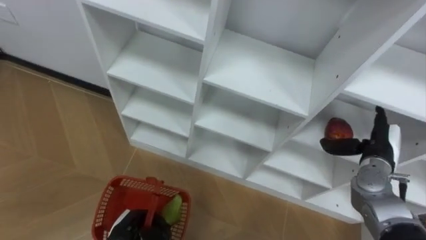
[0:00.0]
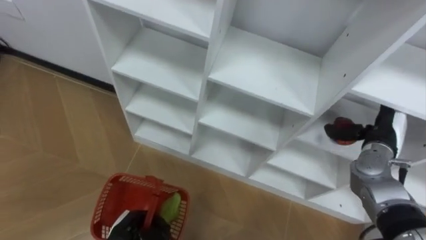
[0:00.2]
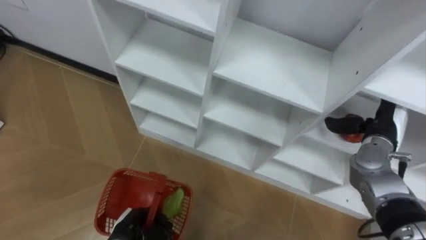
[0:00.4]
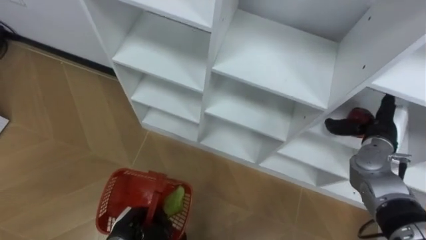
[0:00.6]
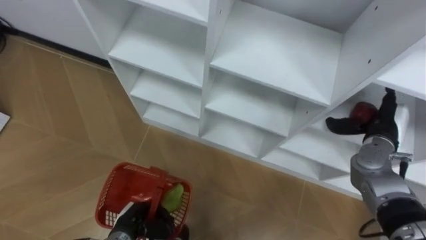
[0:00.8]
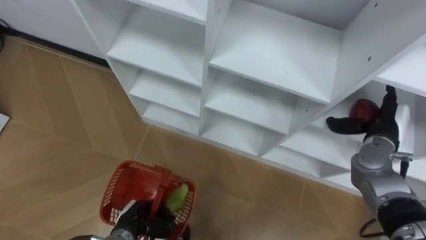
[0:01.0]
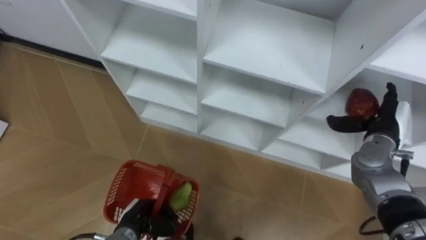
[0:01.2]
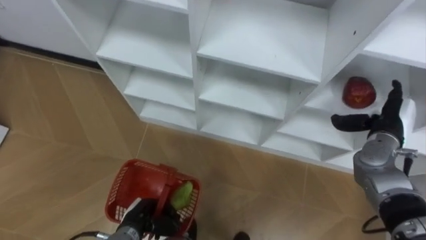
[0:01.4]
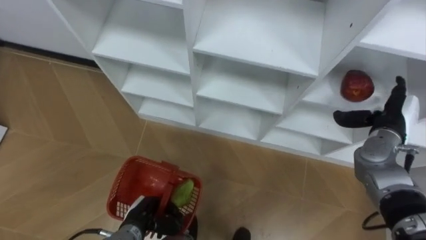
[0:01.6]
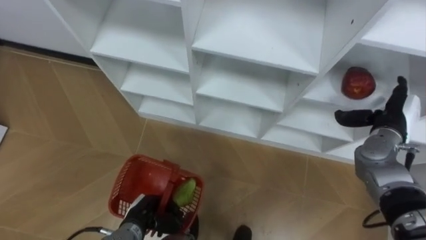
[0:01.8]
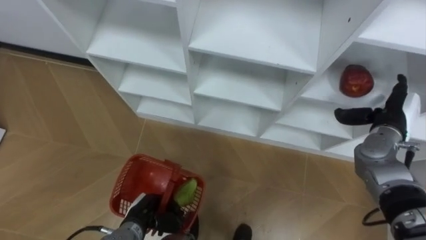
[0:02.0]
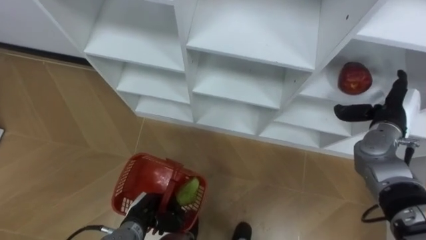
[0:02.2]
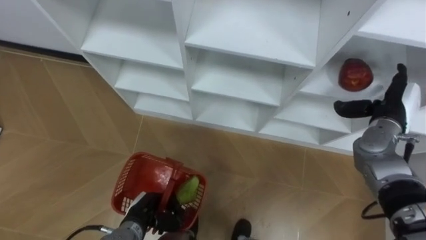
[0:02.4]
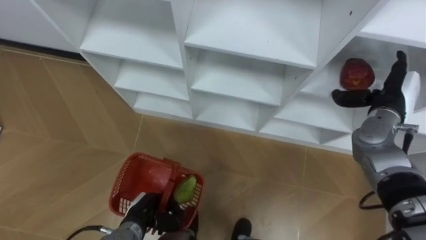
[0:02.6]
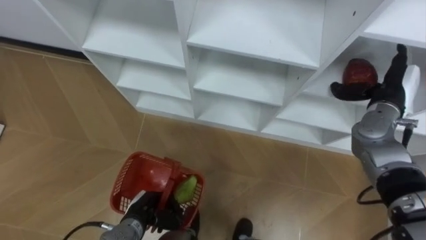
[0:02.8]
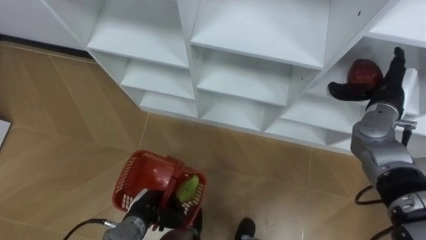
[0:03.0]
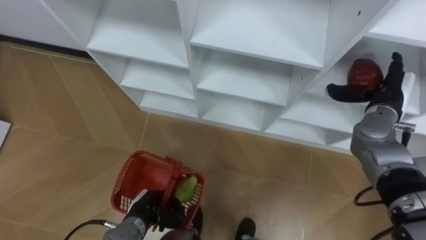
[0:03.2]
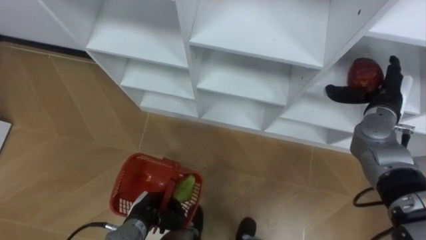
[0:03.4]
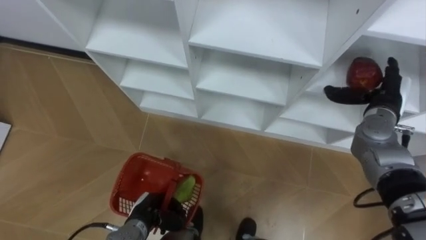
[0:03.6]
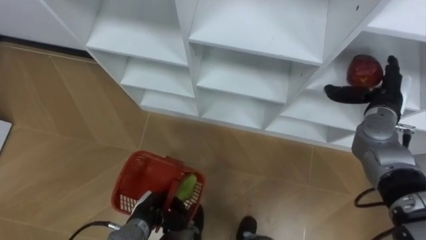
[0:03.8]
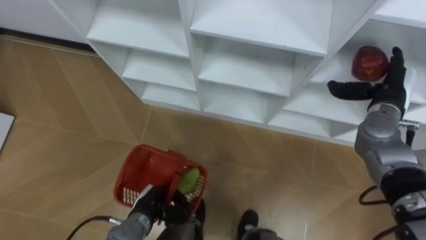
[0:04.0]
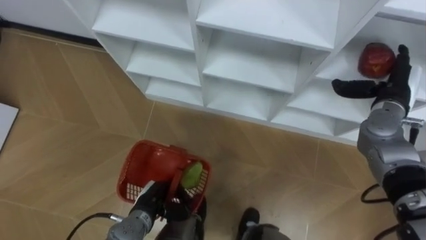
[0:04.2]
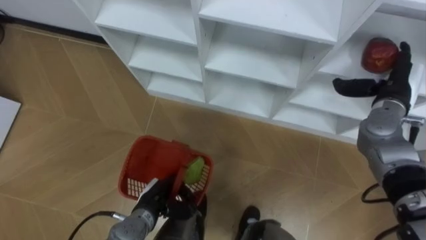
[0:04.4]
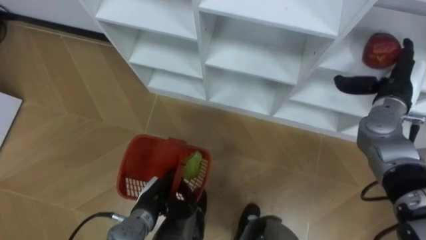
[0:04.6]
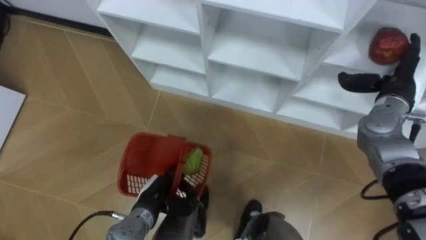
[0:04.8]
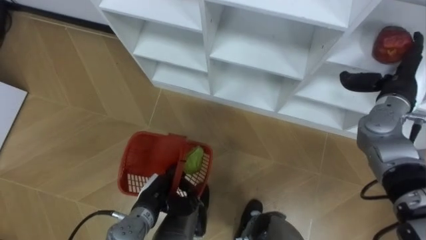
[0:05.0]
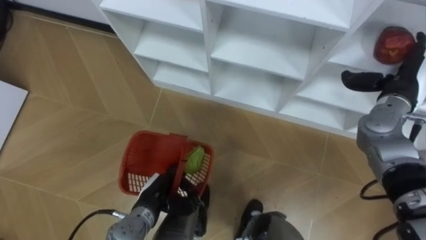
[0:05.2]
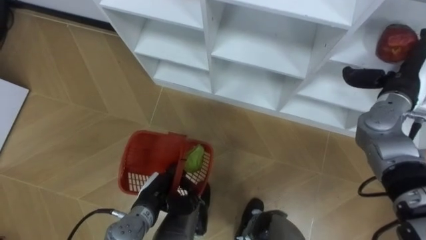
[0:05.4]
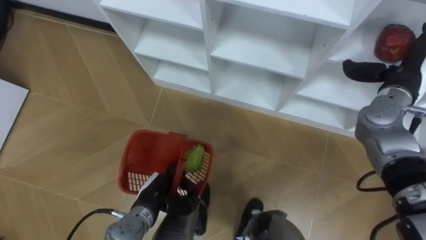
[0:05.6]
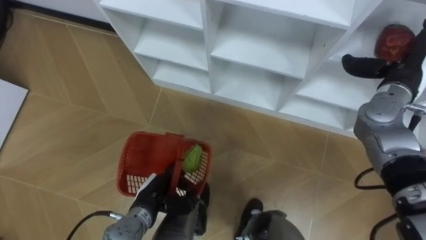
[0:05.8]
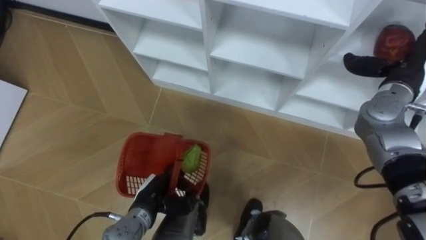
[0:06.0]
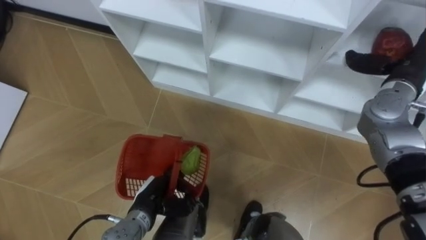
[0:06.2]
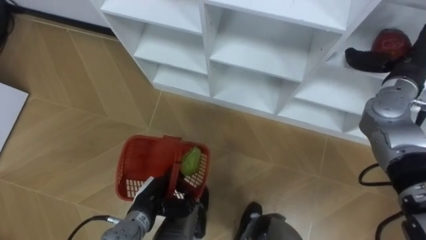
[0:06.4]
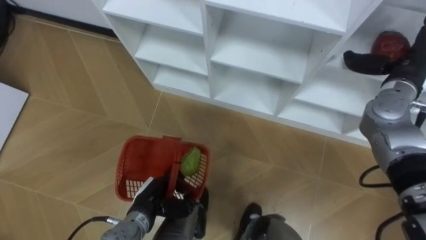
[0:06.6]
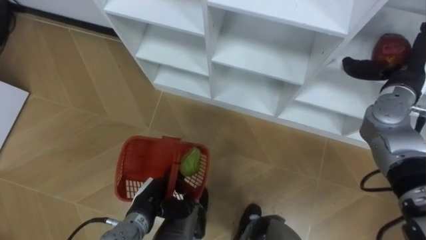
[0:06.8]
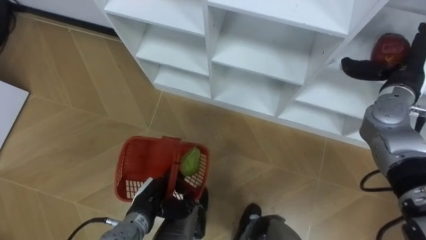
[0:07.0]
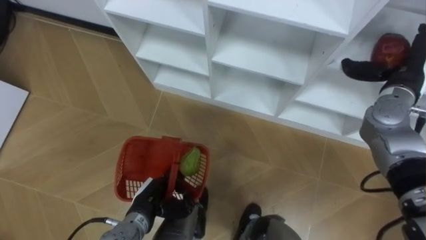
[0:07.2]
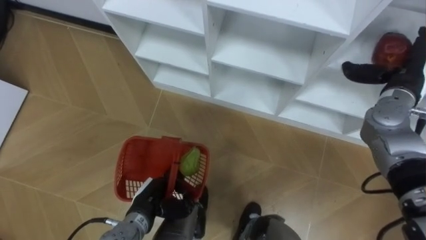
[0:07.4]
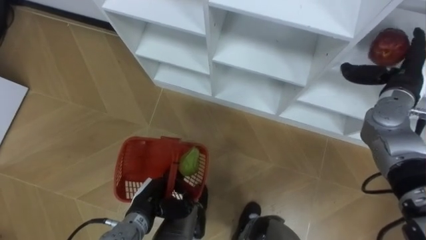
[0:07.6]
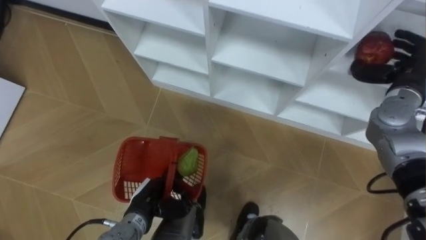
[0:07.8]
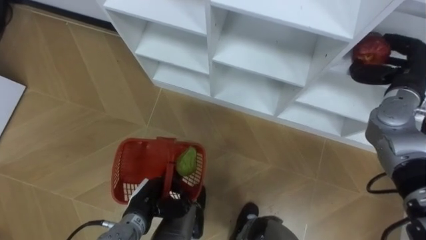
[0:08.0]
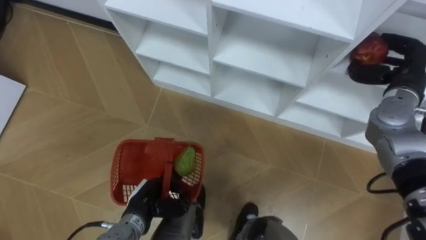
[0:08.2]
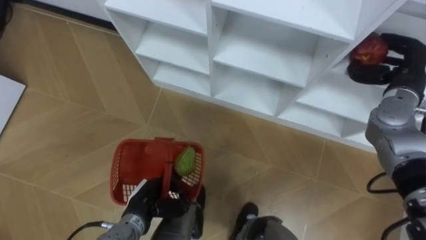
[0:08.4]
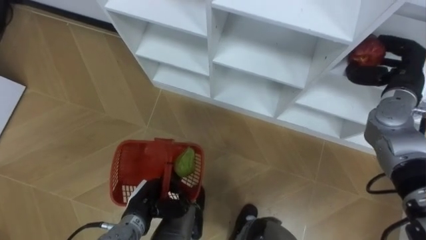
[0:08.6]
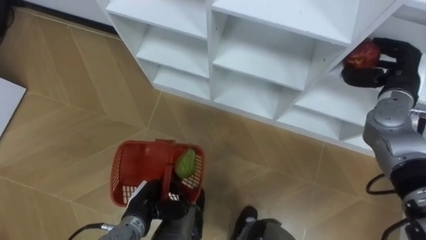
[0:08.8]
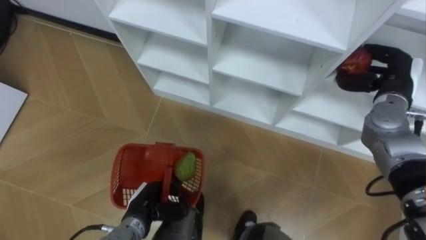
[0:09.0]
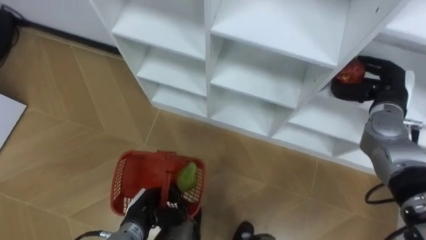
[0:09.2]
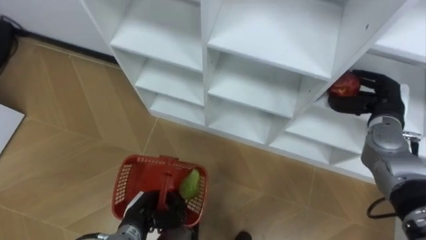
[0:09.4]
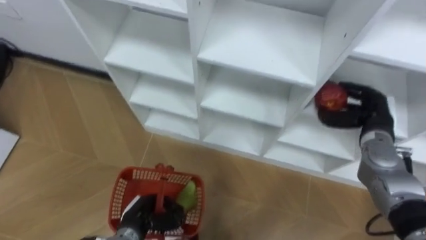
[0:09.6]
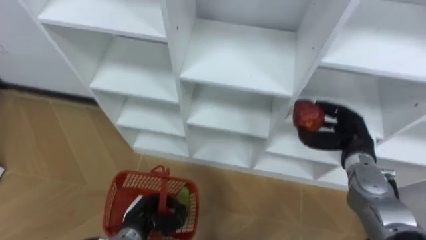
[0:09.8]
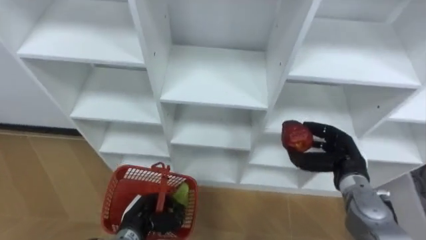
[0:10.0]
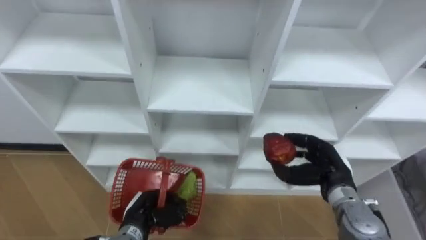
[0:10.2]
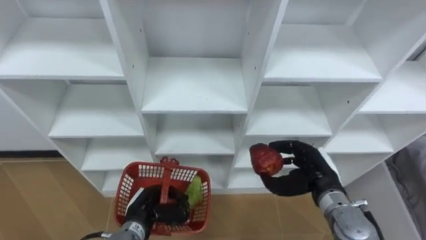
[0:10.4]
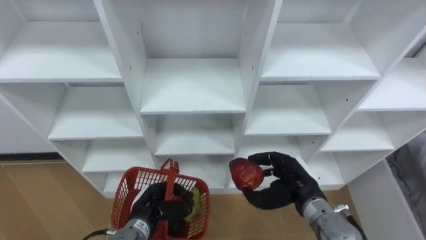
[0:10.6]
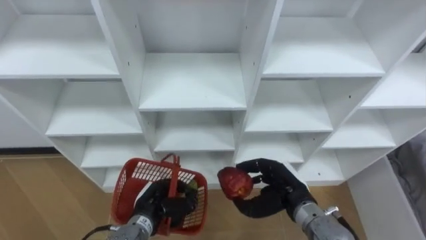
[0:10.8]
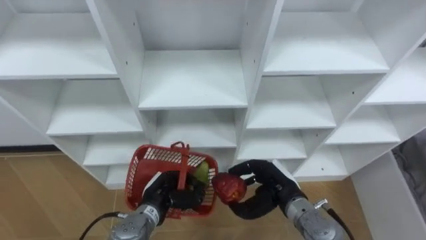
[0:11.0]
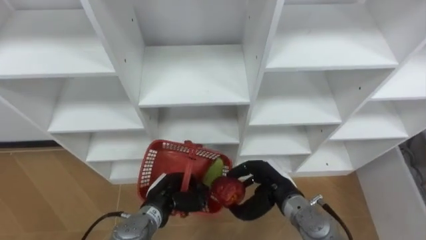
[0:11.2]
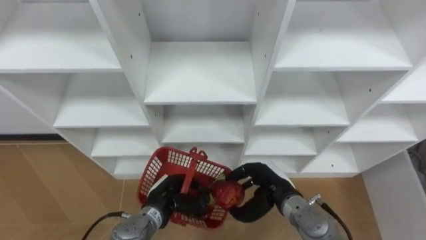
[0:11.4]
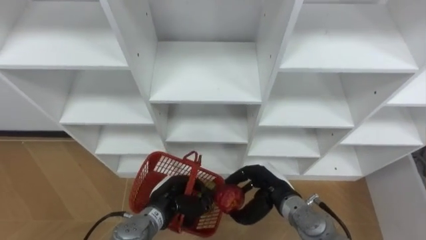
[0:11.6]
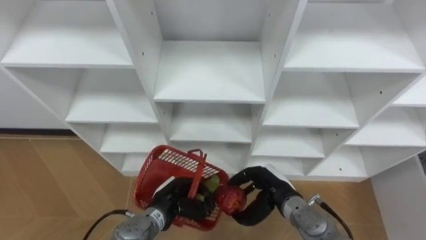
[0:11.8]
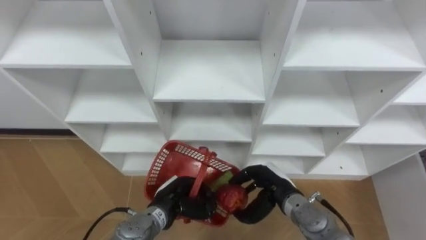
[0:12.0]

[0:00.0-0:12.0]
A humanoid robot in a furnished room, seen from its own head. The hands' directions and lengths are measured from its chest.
Task of the whole recording: Hold the basket and collect the fruits from 3 different cells of the closet into it.
0:00.0 to 0:01.6: The right hand moves some 5 cm.
0:01.6 to 0:03.0: The right hand ends up some 5 cm from where it was.
0:06.0 to 0:07.6: There are only small adjustments of the hands.
0:07.6 to 0:09.0: The right hand closes.
0:09.0 to 0:10.4: The right hand shifts some 20 cm backward, downward and to the left.
0:10.4 to 0:12.0: The left hand travels to the right by some 5 cm; the right hand goes about 10 cm to the left.

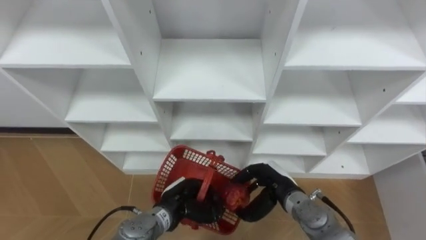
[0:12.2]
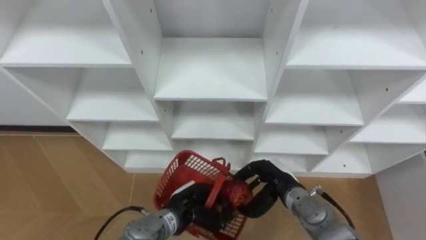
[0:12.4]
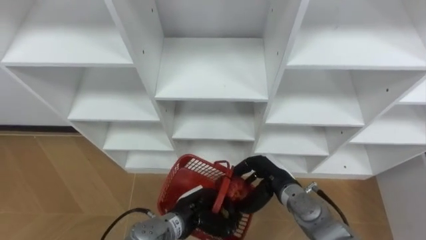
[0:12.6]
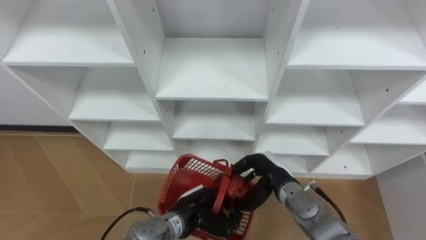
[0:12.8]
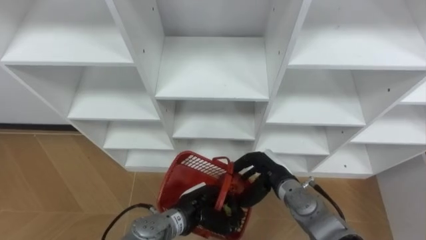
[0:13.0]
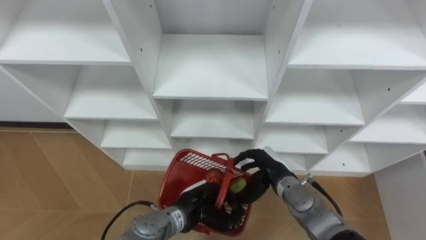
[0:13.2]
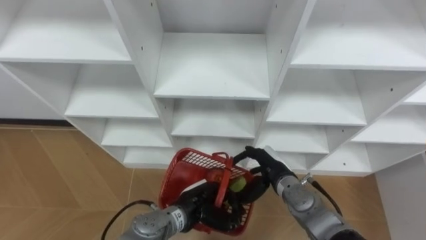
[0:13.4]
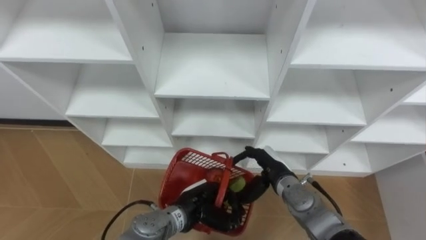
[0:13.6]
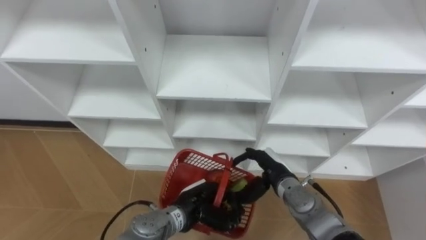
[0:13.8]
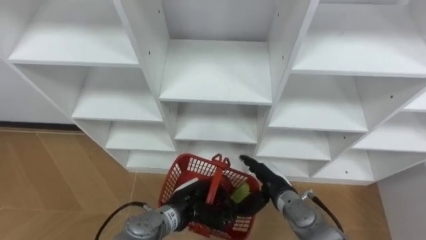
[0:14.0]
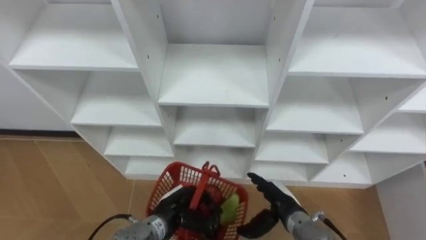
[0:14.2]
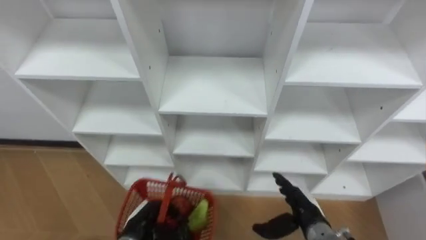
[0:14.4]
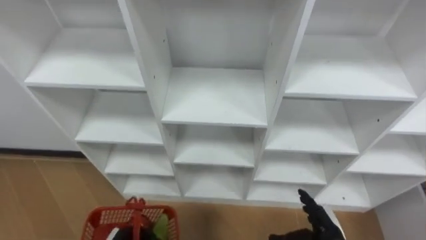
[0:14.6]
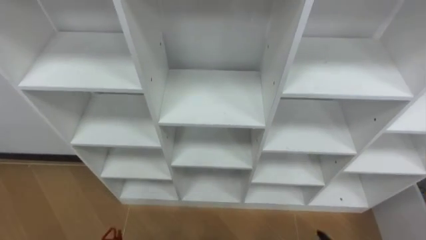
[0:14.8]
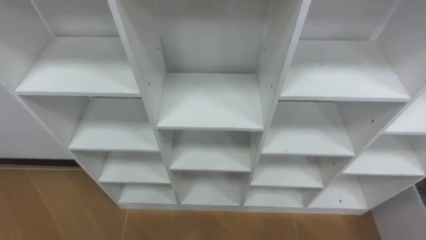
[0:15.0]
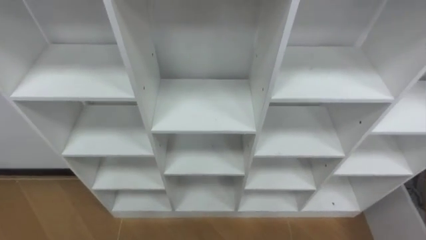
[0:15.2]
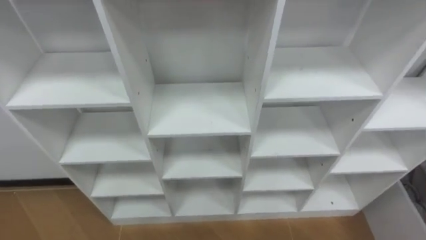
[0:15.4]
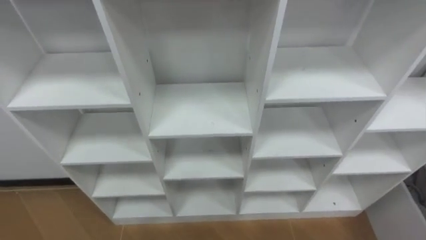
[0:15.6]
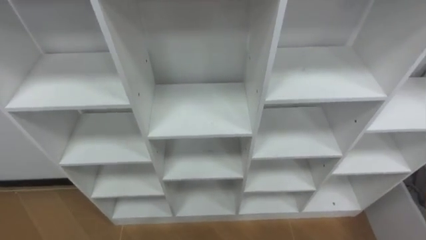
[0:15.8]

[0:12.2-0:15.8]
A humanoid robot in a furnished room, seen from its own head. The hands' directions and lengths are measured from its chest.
Task of the whole recording: Hold the basket and collect the fruits from 3 different cells of the closet into it.
0:12.2 to 0:14.0: The right hand opens.

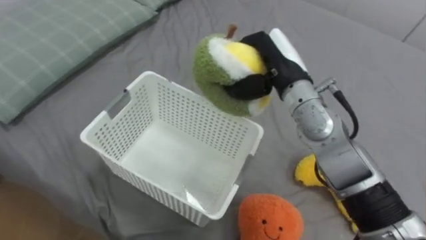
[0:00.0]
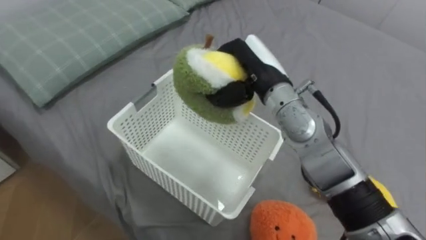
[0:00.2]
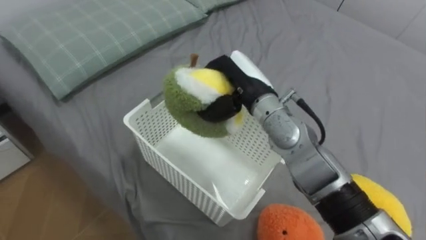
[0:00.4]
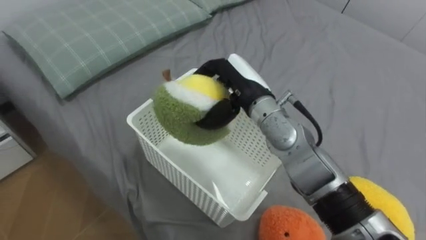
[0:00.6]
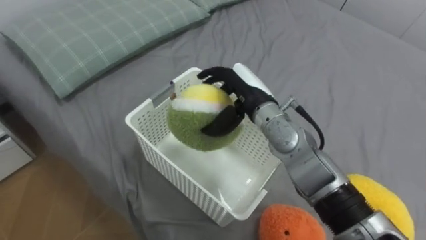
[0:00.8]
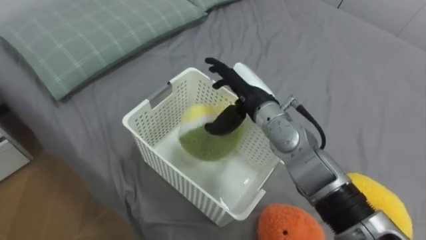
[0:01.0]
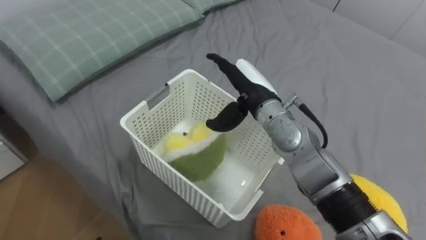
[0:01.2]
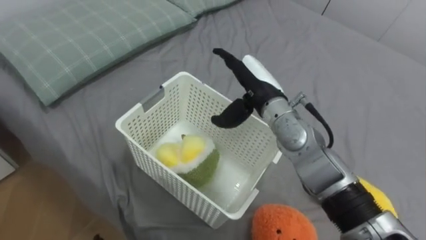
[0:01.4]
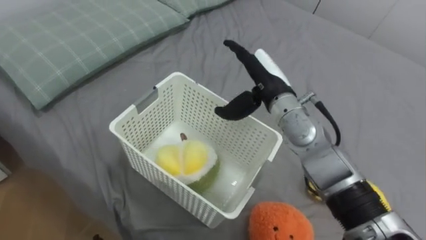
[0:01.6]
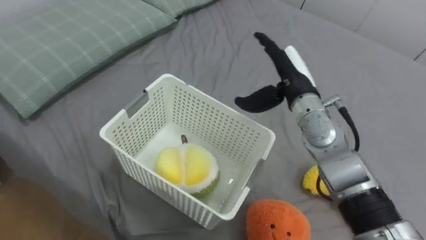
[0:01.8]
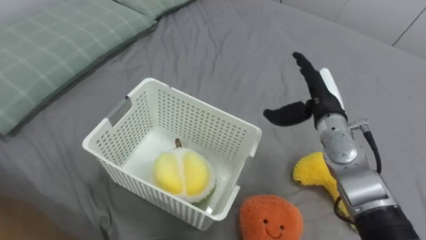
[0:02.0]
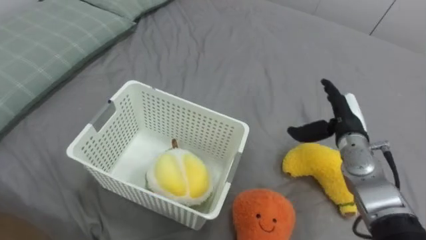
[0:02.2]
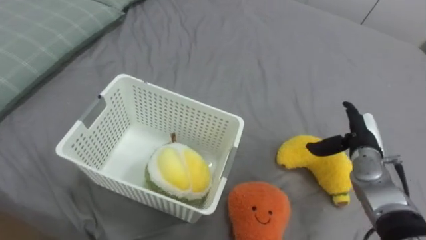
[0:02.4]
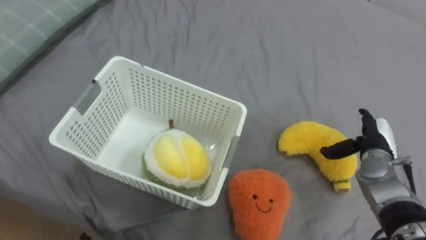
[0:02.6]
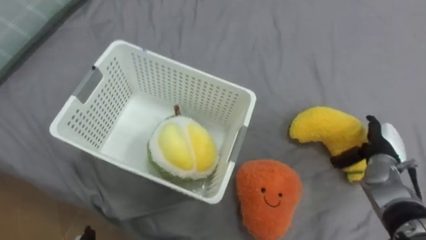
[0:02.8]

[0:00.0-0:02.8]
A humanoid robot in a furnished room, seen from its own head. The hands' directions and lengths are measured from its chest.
Task of the whole recording: Put the toys on the bed into the basket on the left.
0:00.0 to 0:01.4: The right hand ends up roughly 5 cm from where it was, and opens up.
0:01.4 to 0:02.8: The right hand shifts about 30 cm to the right and downward.
